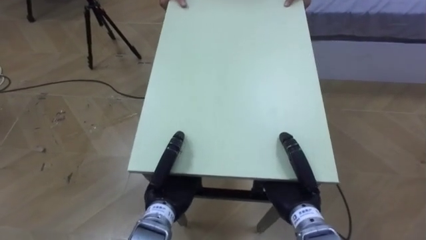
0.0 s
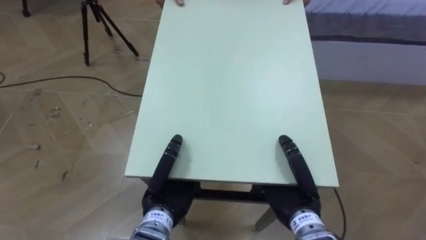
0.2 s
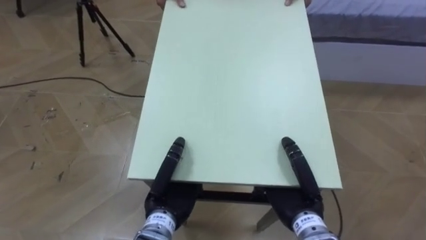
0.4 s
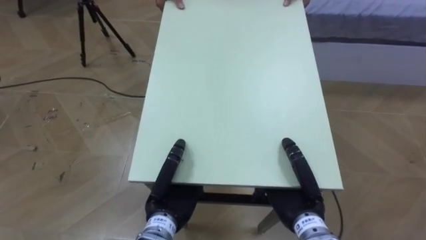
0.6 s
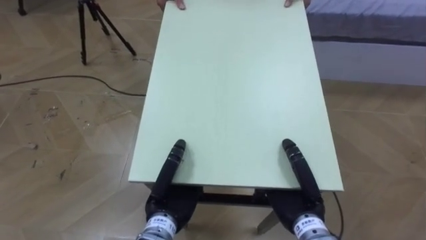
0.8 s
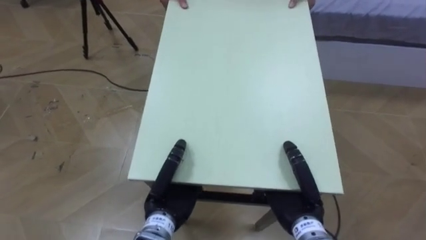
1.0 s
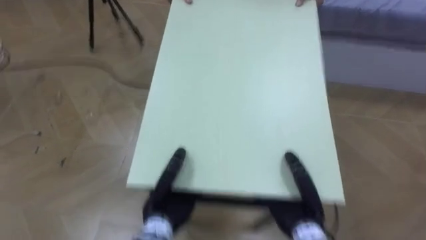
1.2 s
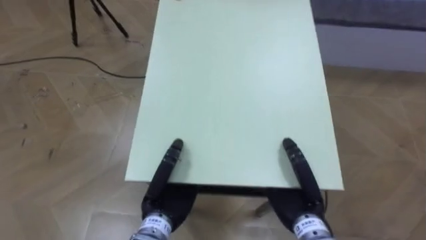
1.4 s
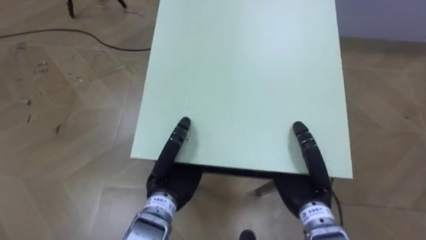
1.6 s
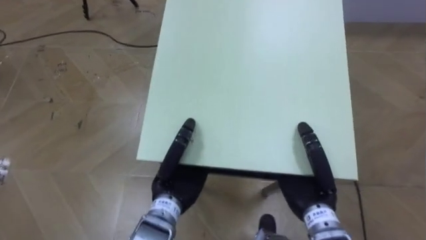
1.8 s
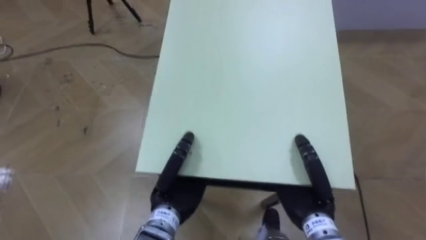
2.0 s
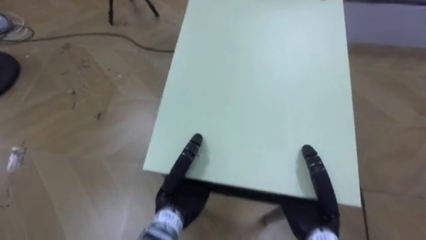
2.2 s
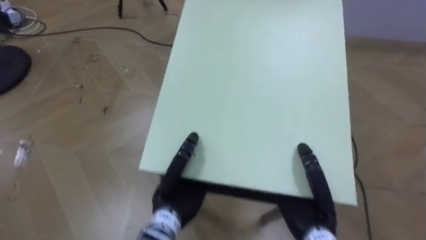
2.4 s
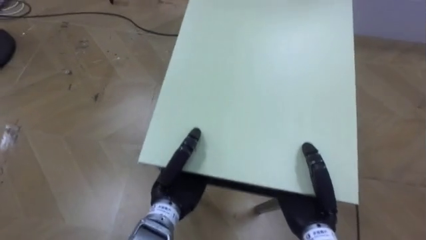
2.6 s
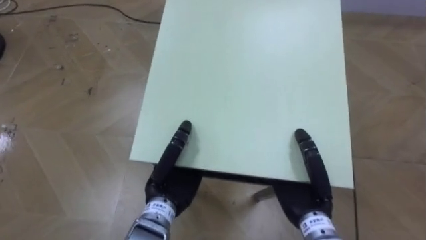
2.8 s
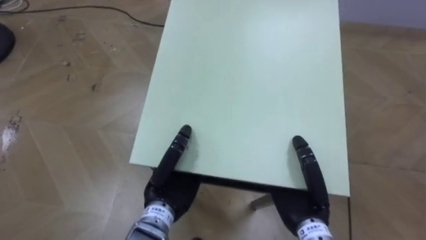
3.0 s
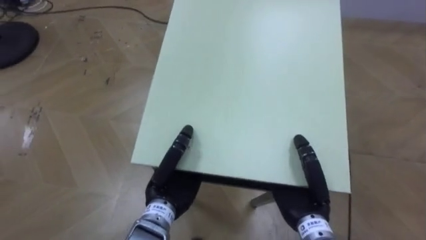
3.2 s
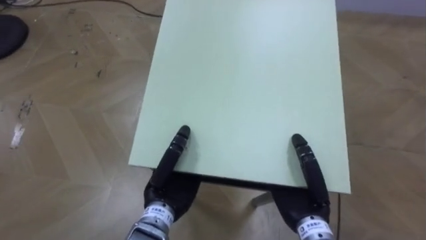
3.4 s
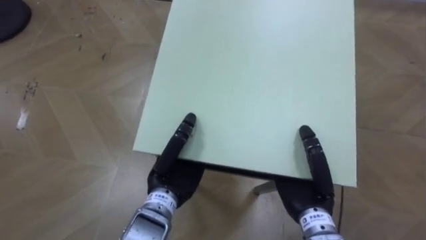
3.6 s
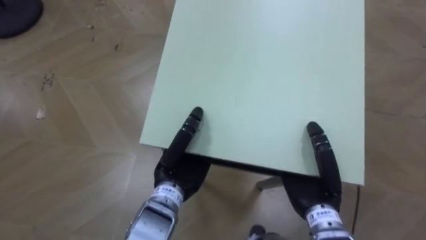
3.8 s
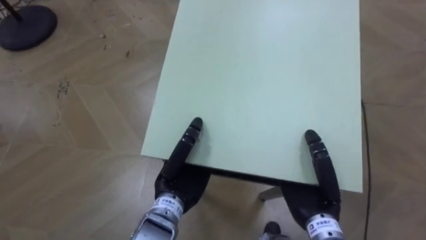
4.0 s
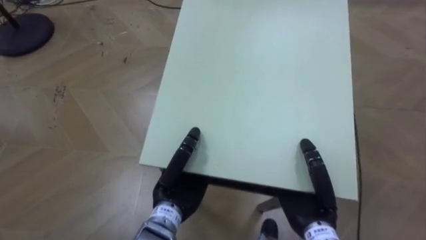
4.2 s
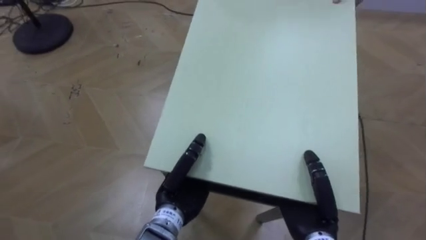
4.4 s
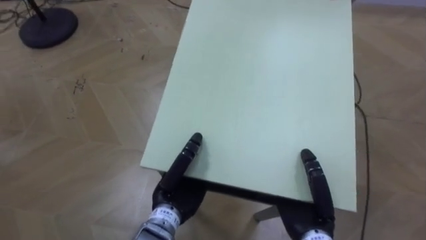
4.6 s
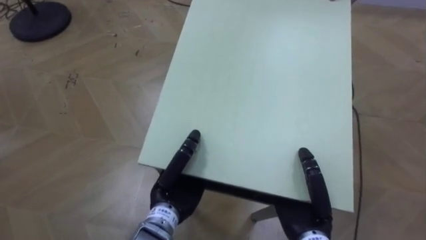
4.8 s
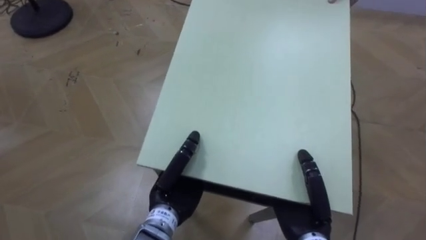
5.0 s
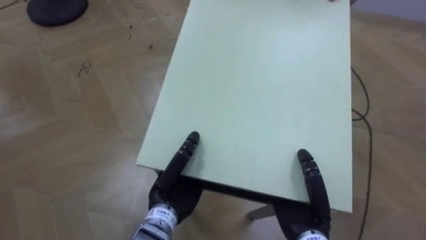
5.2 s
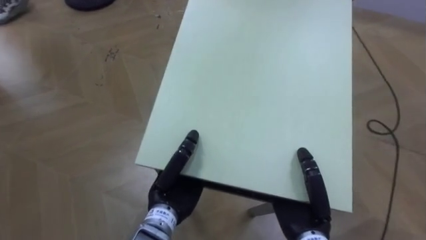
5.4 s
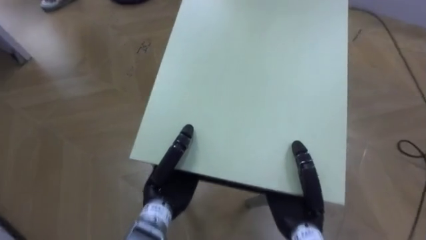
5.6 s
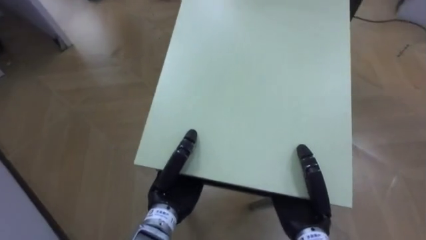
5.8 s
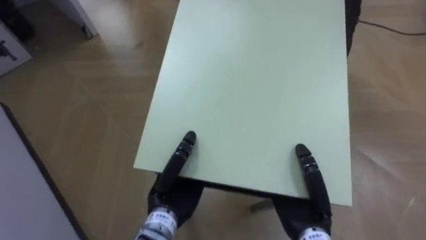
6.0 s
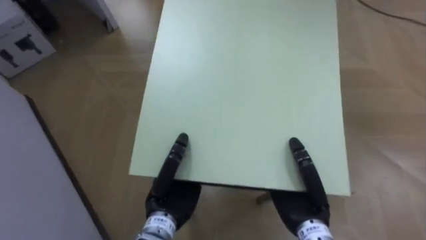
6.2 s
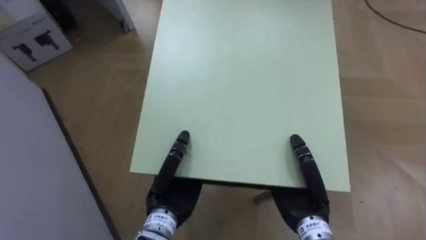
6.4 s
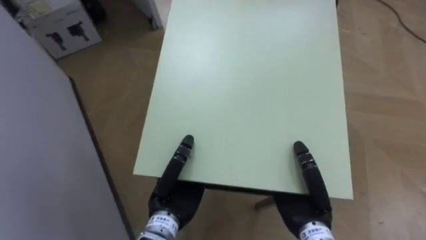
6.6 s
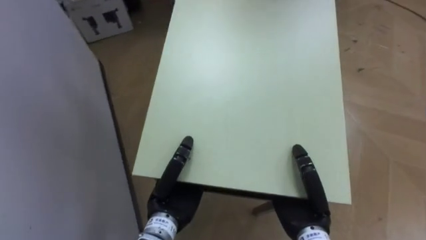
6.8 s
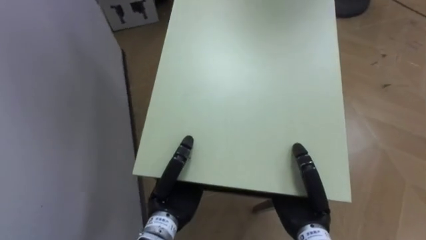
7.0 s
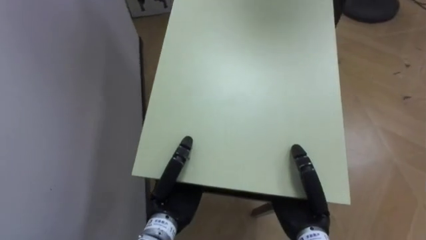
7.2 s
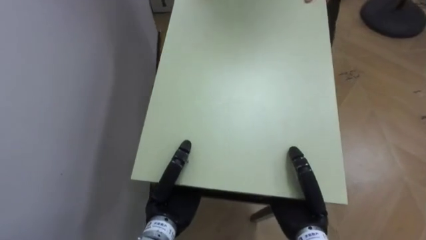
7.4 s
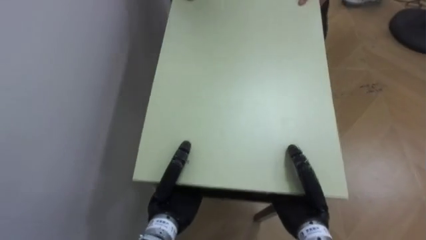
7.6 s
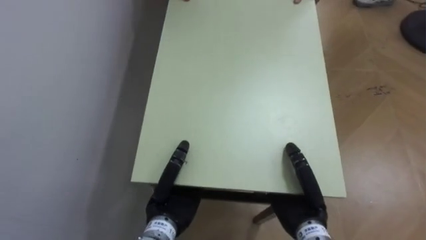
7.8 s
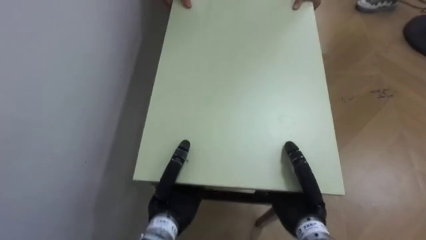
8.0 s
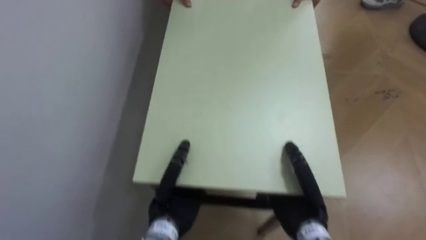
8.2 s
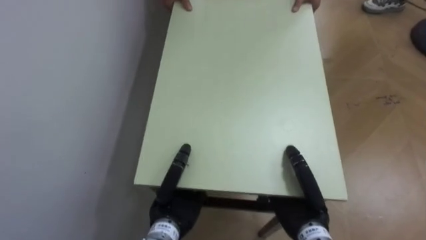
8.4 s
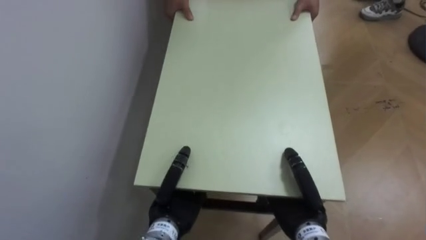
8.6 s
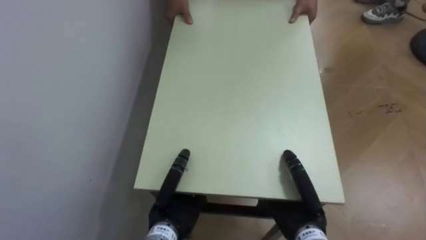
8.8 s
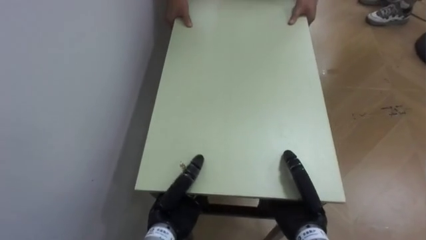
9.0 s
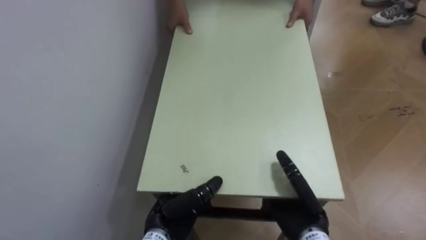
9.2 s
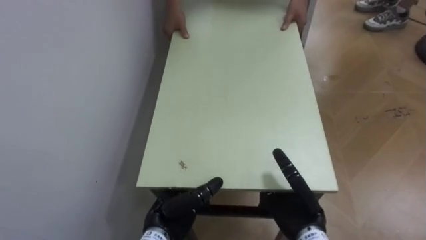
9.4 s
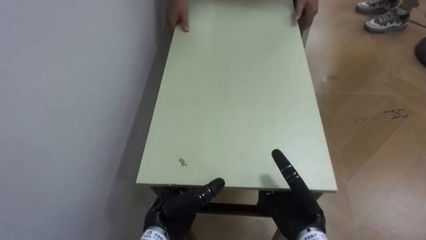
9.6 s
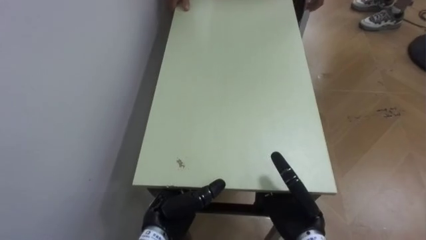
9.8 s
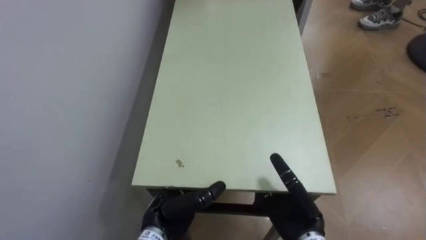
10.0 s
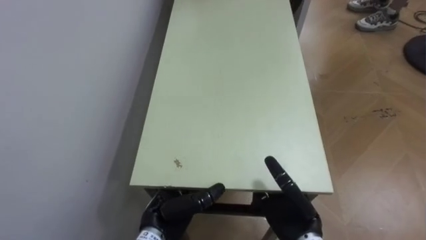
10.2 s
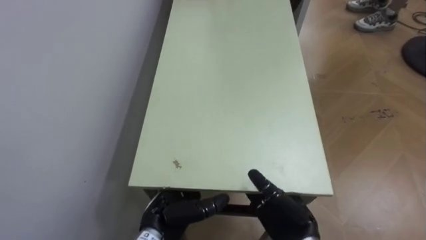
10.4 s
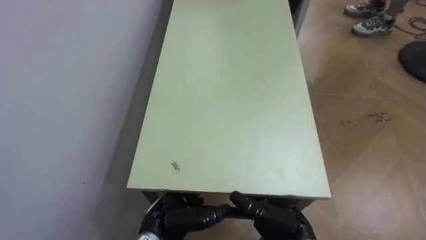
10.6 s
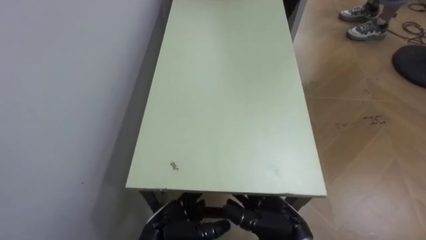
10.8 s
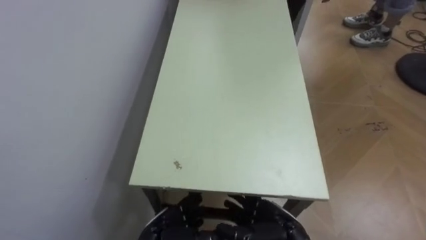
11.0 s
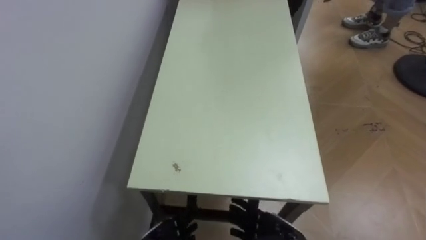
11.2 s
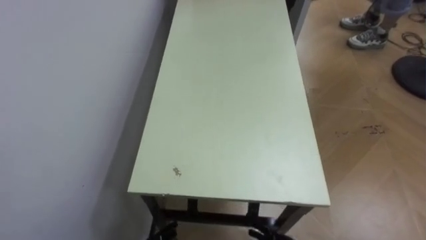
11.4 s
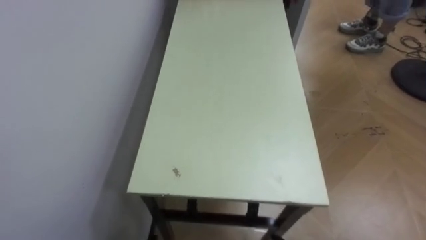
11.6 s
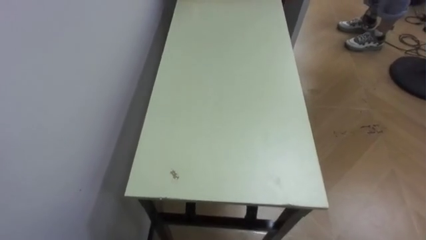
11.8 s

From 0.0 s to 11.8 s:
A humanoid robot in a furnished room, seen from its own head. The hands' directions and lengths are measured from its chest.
Task of the whole recording: Move the table to the back left with someone.
From 4.4 s to 6.0 s: The robot turns to its left by some 30 degrees.
From 6.0 s to 7.4 s: The robot turns to its left by some 35 degrees.
From 8.8 s to 10.4 s: The left hand opens. Meanwhile the right hand opens up.

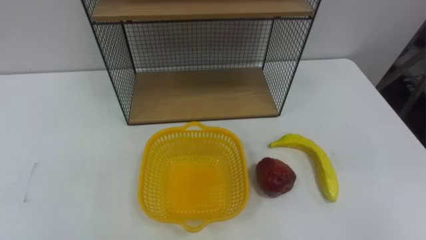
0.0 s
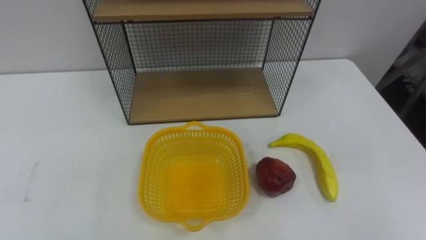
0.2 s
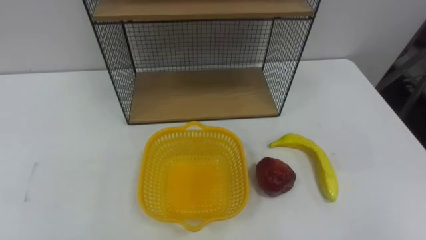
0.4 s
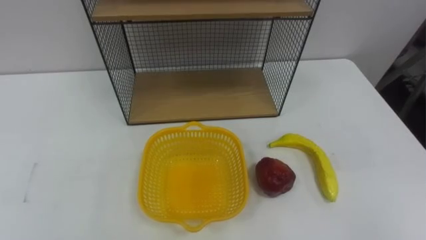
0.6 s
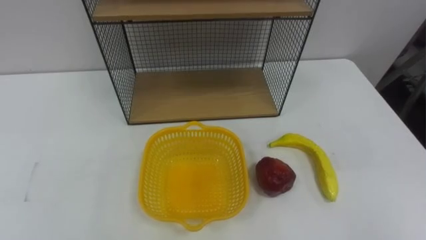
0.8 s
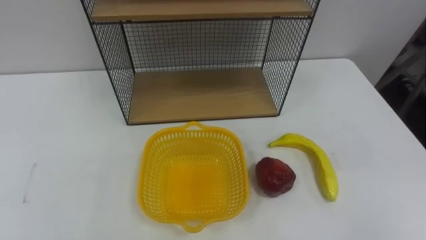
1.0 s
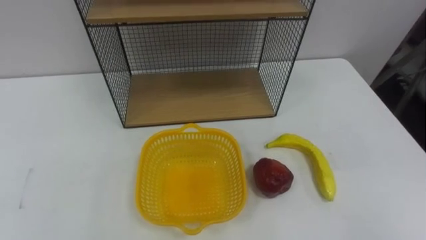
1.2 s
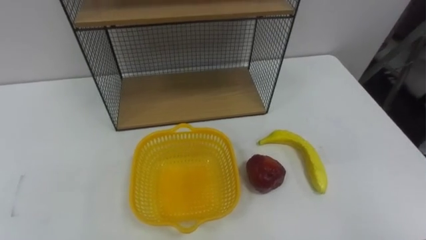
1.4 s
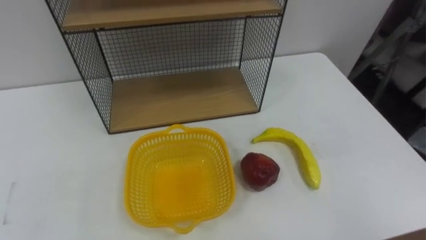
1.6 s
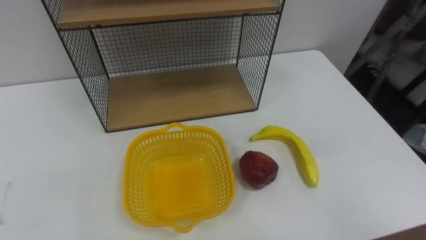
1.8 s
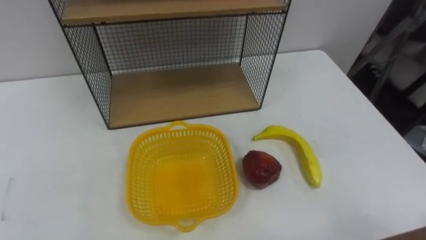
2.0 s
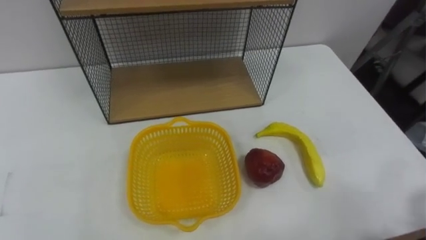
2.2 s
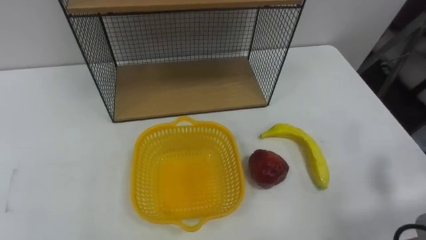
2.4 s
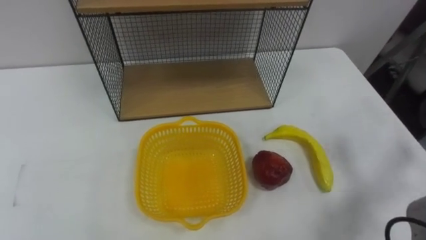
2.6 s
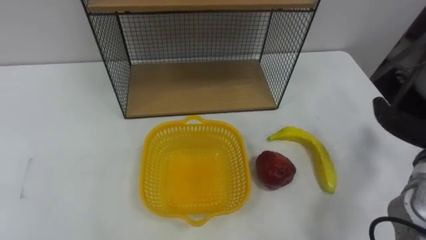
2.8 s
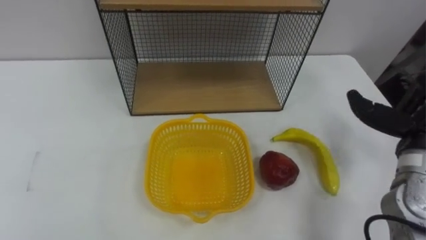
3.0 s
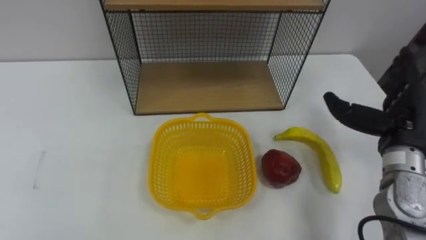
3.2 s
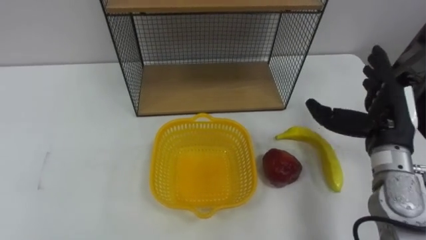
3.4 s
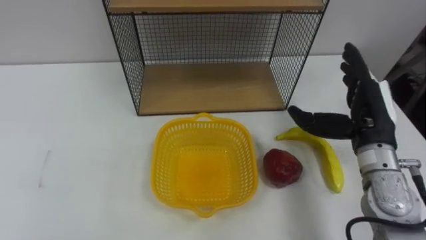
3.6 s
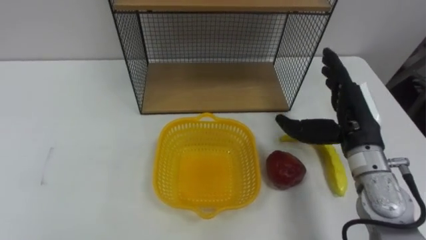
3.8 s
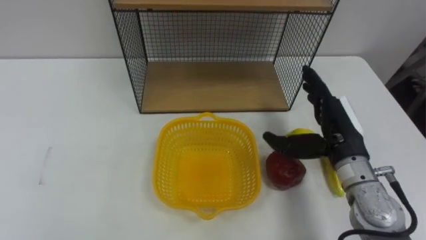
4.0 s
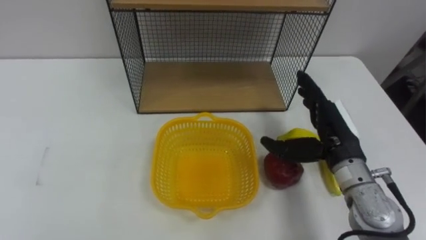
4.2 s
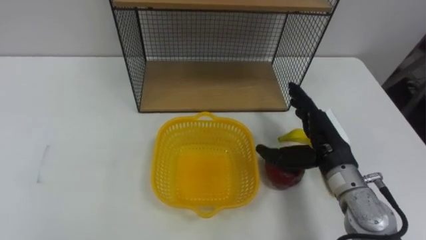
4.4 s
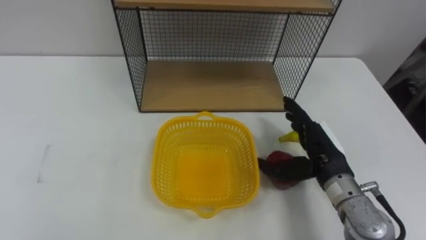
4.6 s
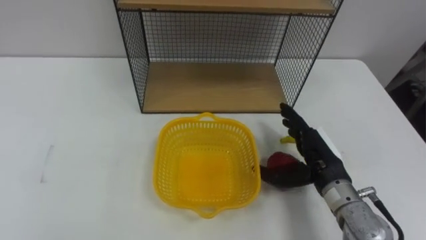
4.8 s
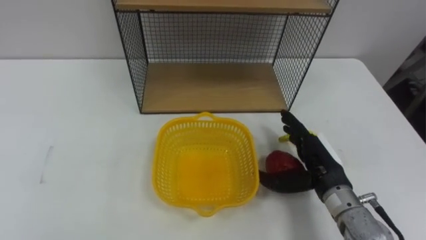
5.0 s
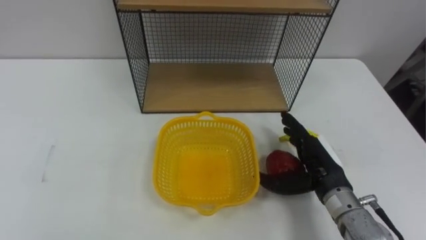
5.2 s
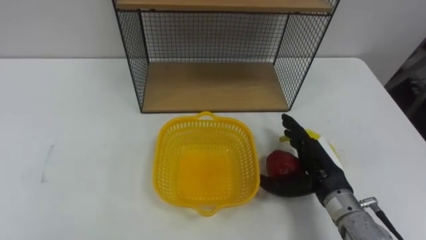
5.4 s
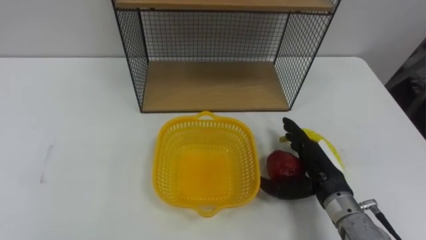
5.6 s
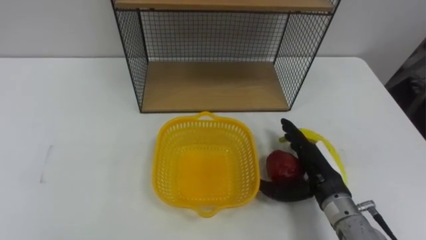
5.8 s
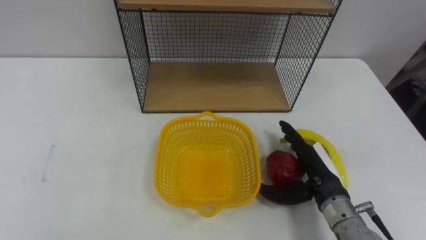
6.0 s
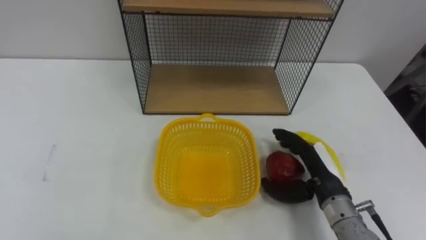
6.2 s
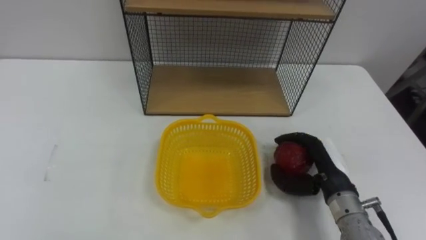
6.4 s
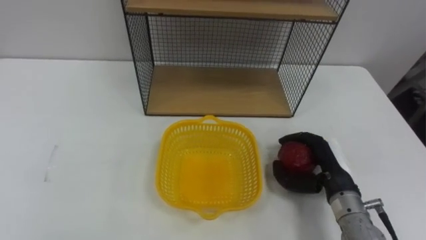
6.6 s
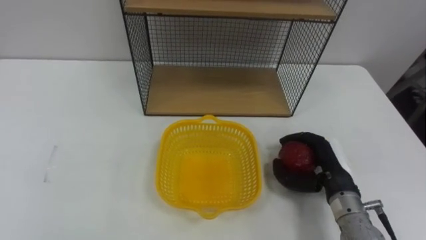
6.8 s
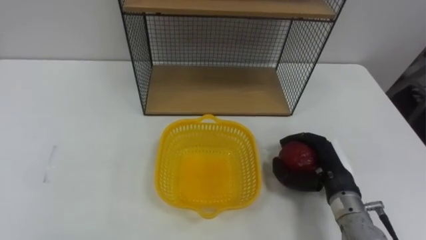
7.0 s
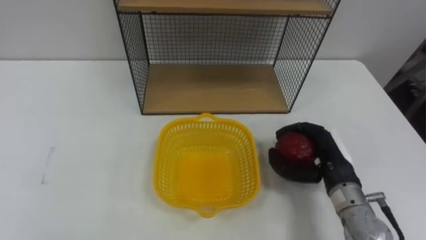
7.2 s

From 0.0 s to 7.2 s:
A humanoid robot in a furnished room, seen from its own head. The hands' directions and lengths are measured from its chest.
Task of the whole recording: Put the fruit on the table into the basket, then place the basket on the shelf.
From 4.4 s to 5.8 s: The right hand shifts roughly 5 cm downward.
From 5.8 s to 7.2 s: The right hand closes its fingers.
